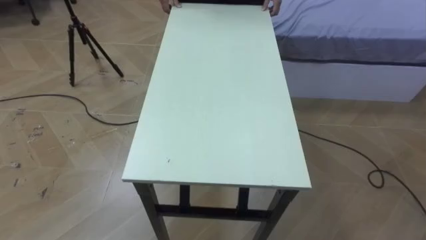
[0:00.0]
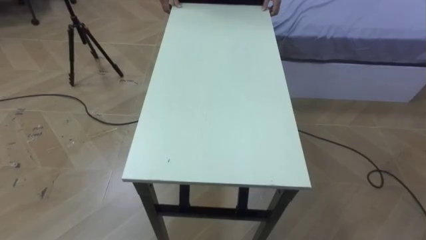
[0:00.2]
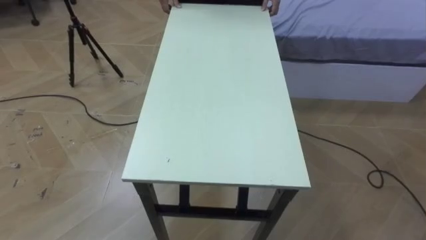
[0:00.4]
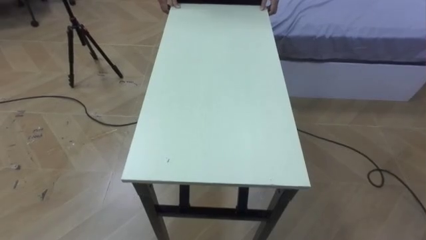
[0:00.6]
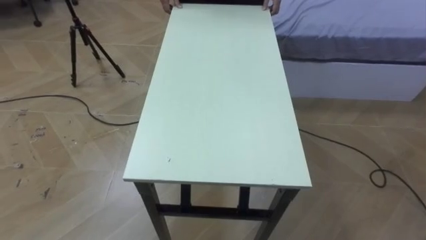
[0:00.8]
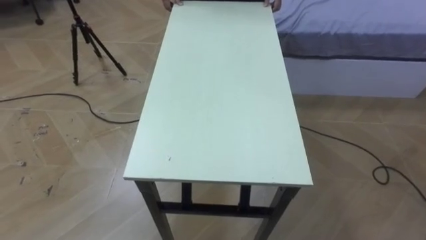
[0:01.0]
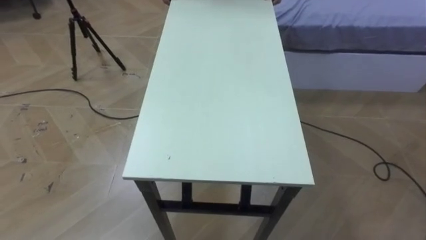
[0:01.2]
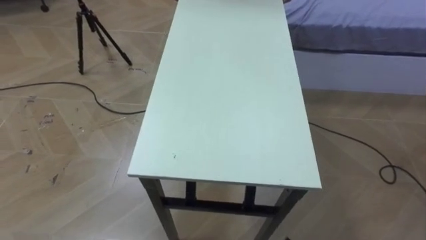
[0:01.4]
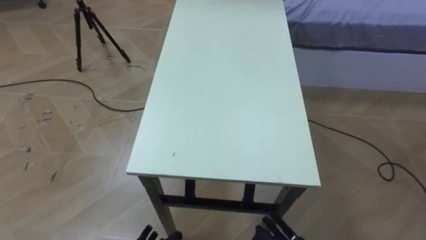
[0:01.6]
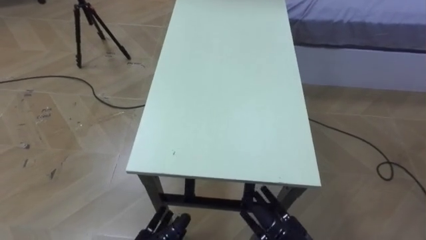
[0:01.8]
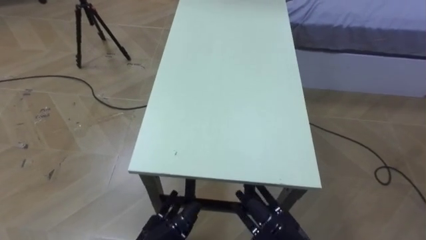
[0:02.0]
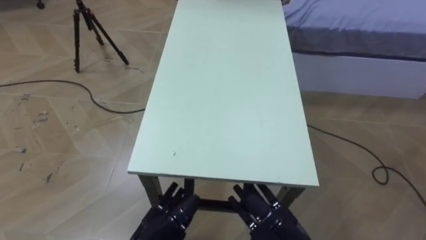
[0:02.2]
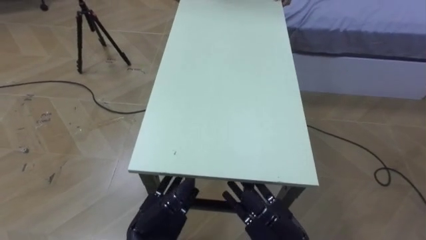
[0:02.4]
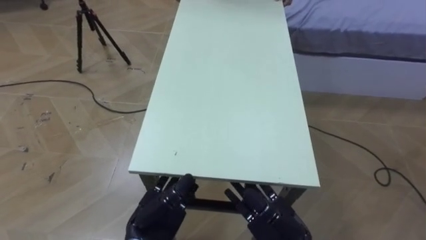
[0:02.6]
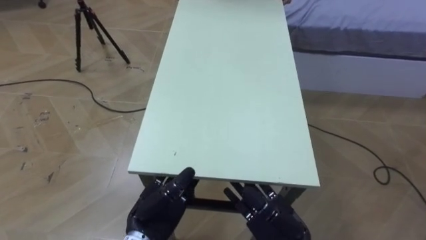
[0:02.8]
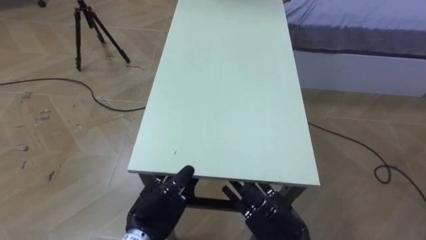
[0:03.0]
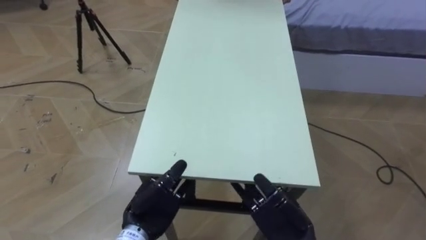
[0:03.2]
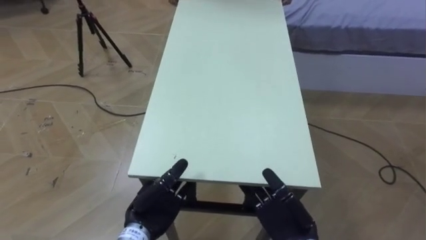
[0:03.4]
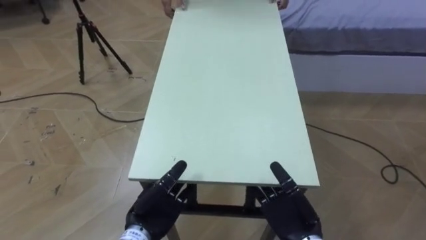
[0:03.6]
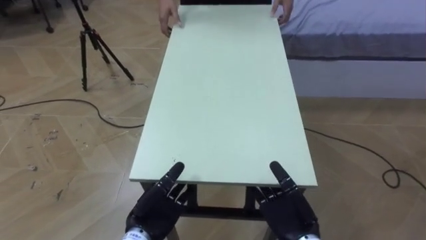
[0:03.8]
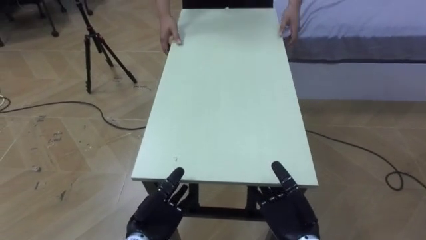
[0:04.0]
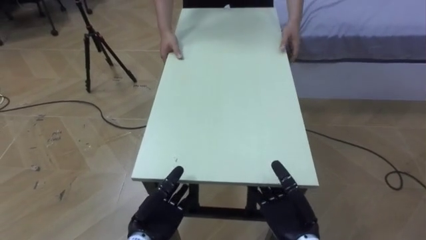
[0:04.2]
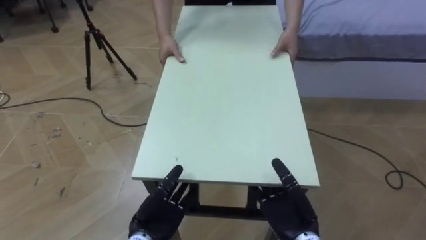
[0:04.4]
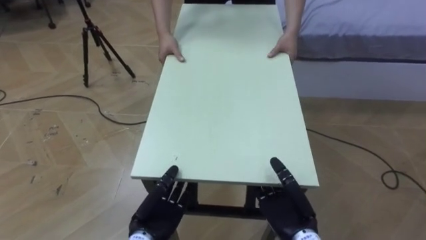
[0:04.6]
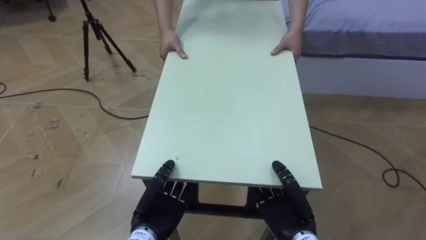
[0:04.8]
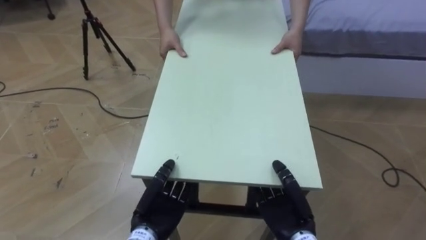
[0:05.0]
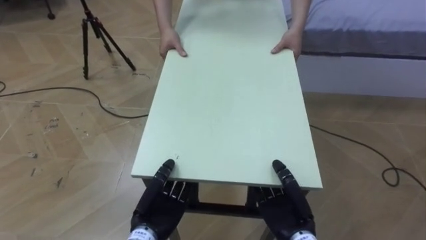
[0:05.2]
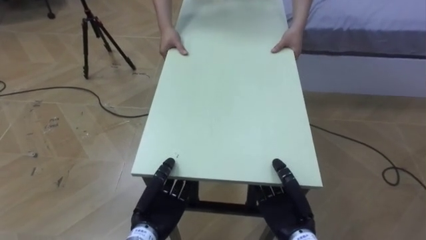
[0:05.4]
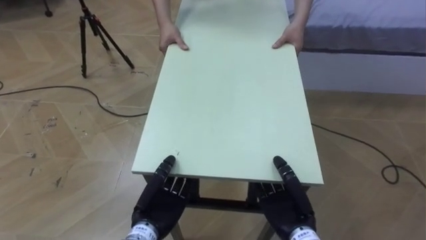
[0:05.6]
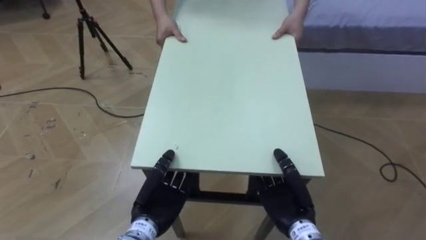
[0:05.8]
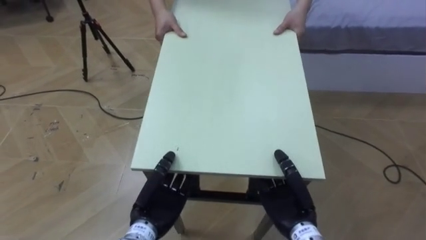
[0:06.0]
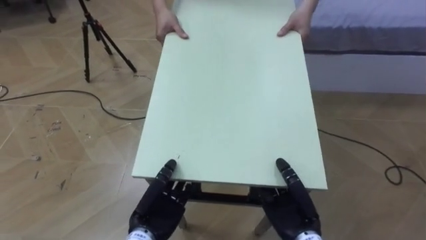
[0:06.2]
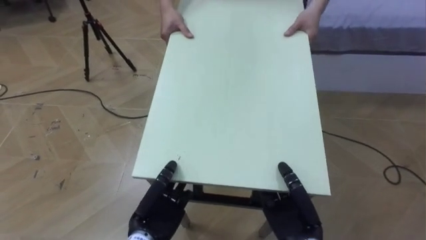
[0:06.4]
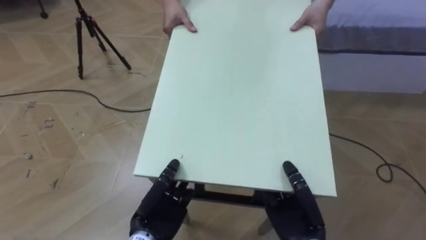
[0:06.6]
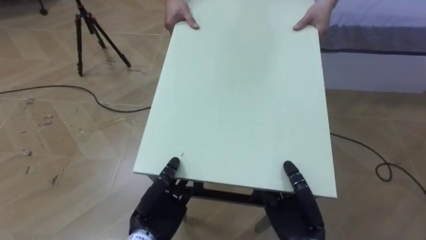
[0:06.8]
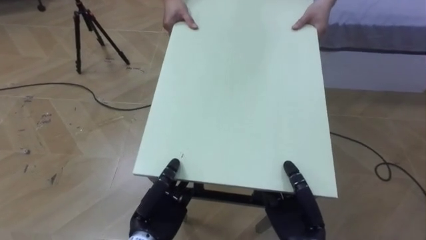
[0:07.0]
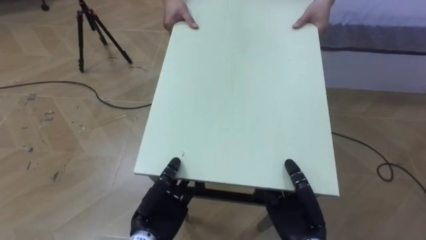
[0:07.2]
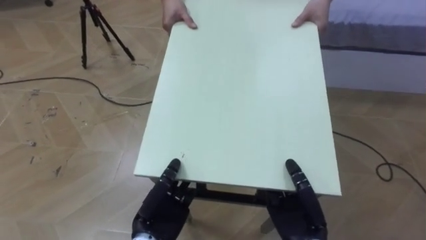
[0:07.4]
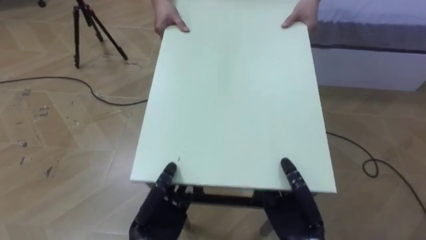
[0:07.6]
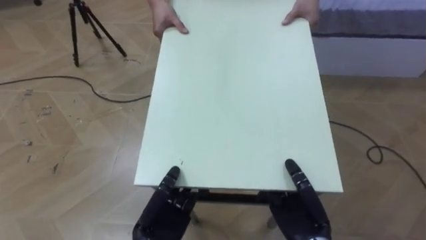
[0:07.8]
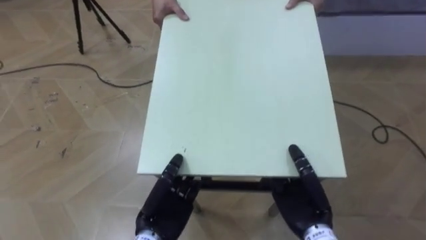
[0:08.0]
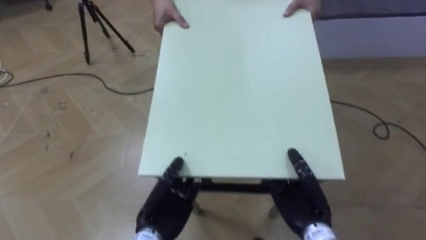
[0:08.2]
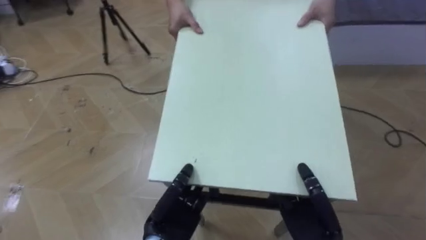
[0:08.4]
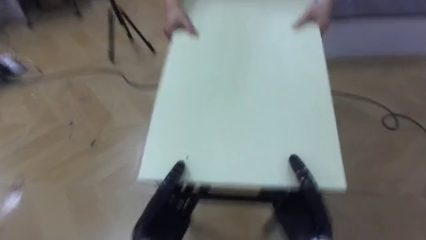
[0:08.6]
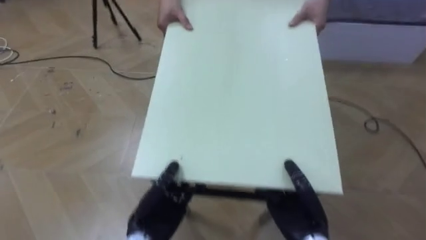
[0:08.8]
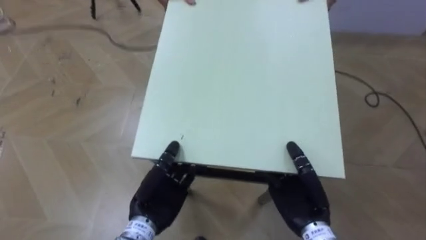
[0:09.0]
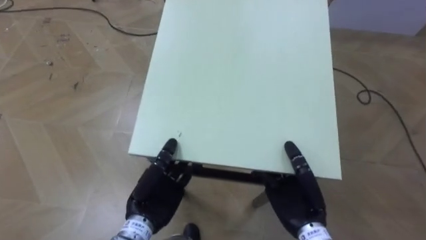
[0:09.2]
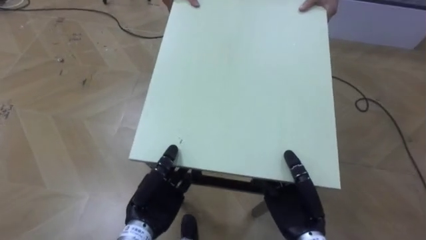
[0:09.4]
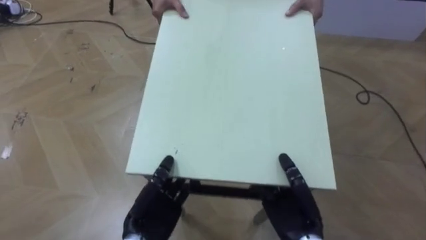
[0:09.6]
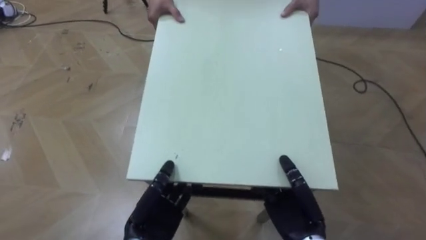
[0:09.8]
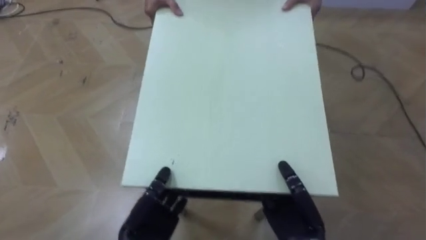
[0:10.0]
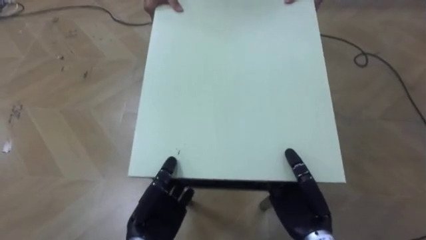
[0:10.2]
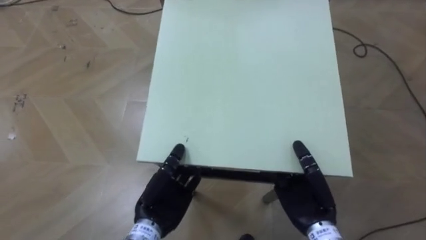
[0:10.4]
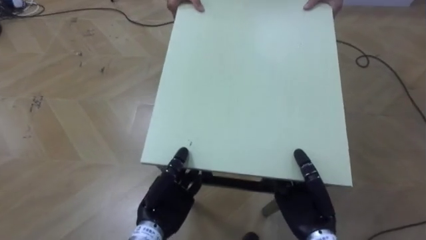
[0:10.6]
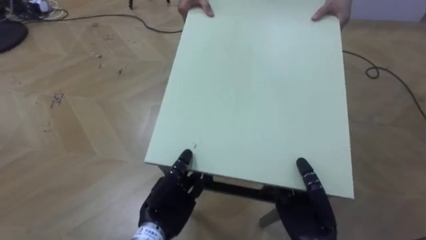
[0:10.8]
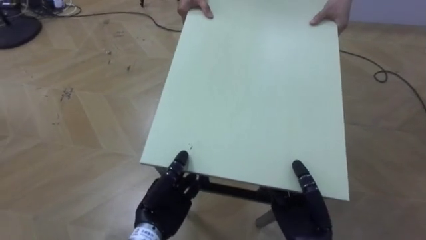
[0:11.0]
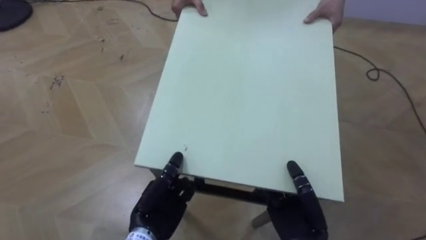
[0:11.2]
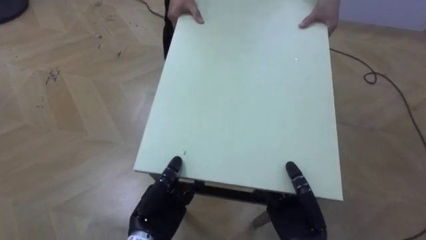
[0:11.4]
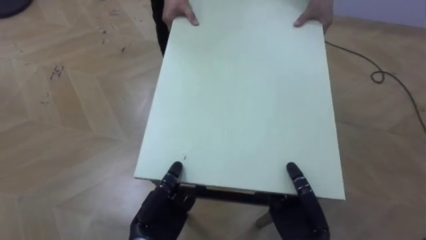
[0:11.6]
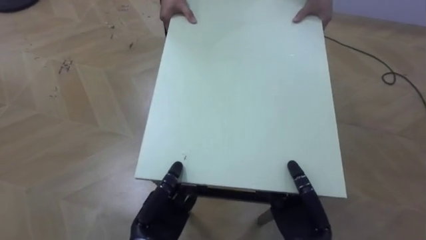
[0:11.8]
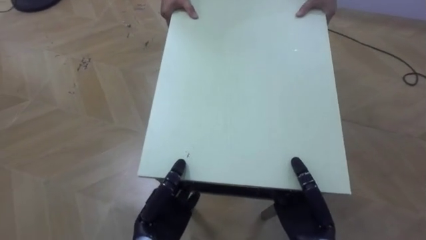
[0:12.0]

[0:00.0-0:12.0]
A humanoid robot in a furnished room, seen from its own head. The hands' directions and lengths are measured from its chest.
Task of the whole recording: Move the table to the back left with someone.
0:04.4 to 0:06.0: The left hand closes its fingers. The right hand closes up.

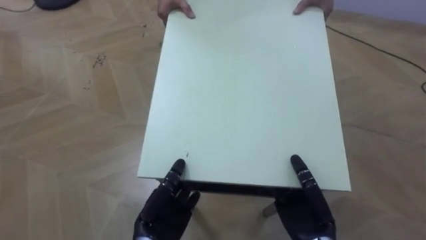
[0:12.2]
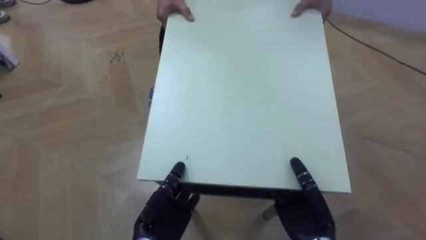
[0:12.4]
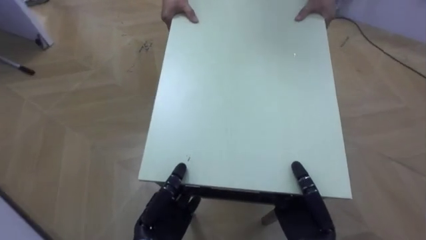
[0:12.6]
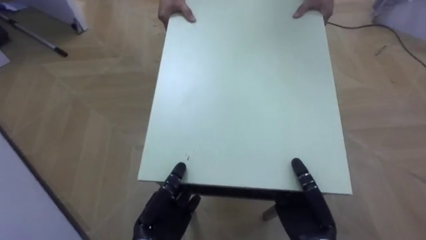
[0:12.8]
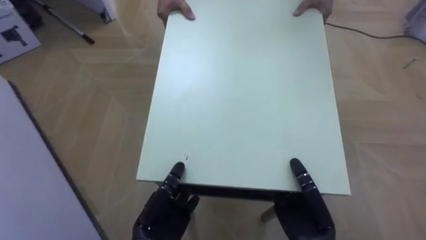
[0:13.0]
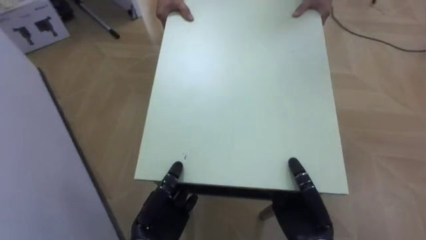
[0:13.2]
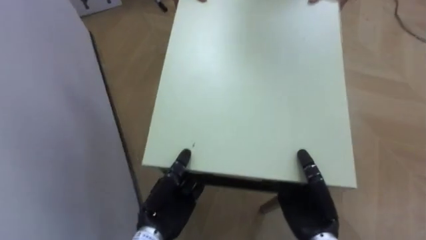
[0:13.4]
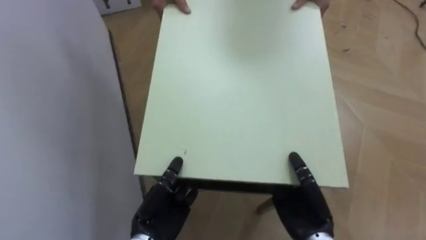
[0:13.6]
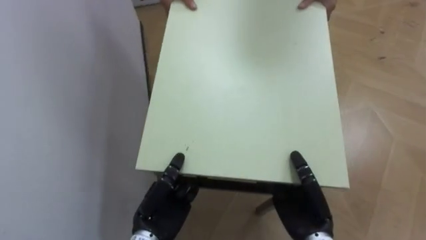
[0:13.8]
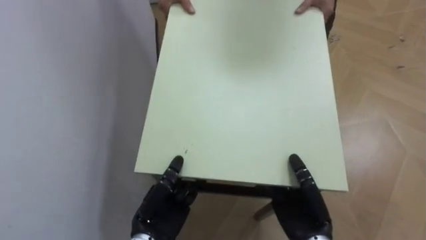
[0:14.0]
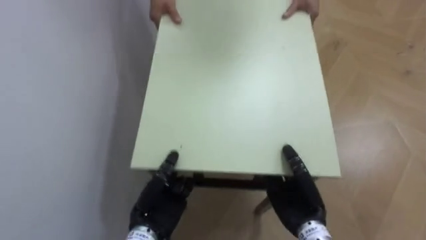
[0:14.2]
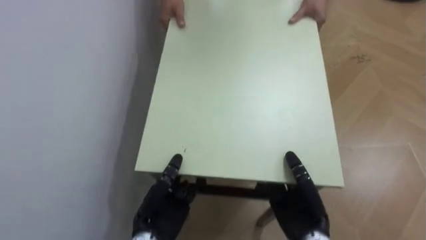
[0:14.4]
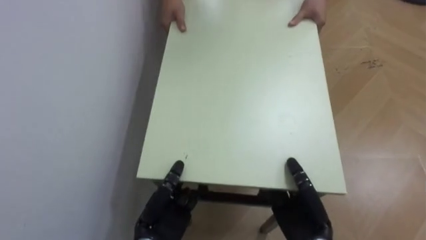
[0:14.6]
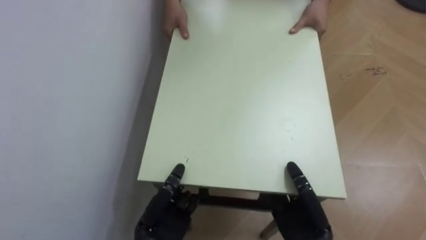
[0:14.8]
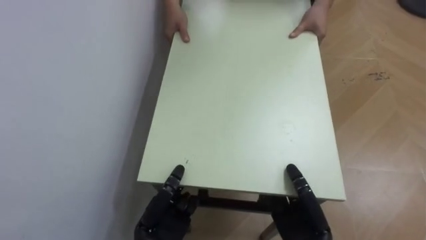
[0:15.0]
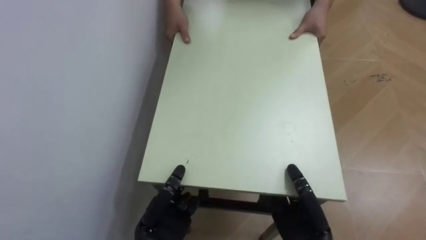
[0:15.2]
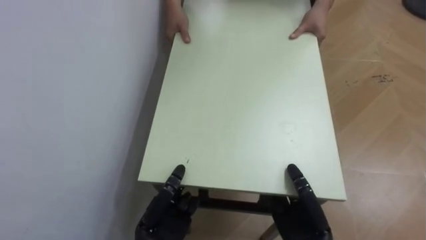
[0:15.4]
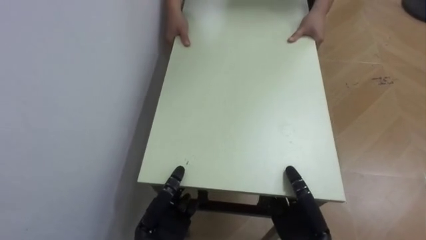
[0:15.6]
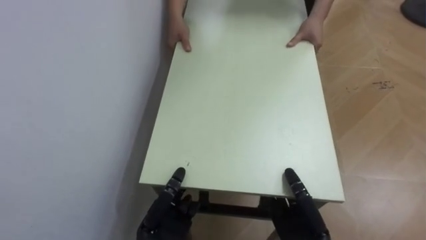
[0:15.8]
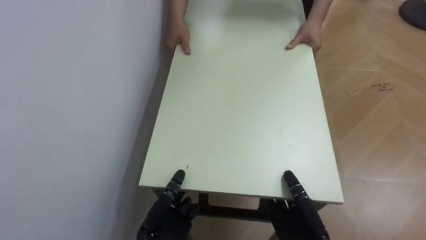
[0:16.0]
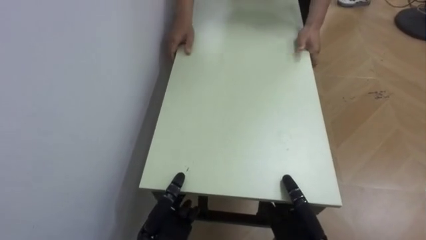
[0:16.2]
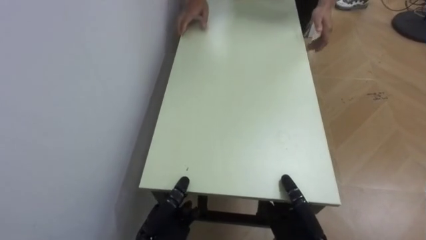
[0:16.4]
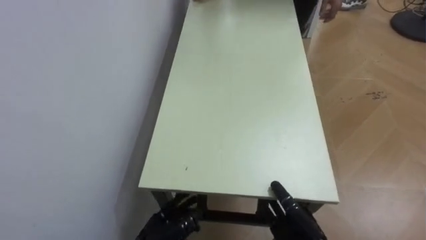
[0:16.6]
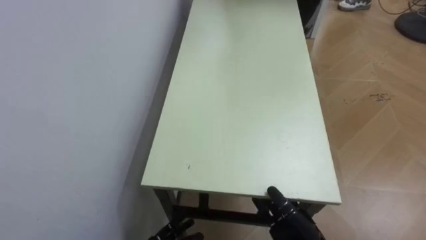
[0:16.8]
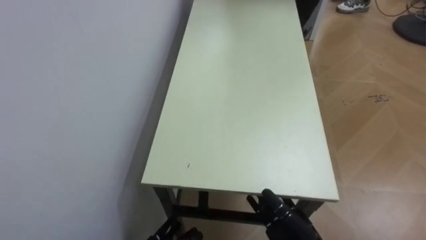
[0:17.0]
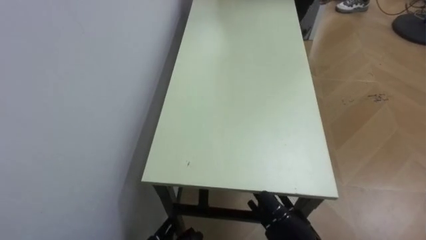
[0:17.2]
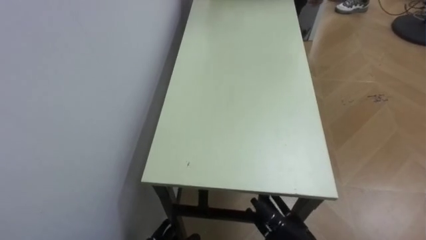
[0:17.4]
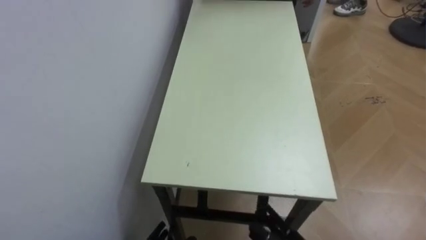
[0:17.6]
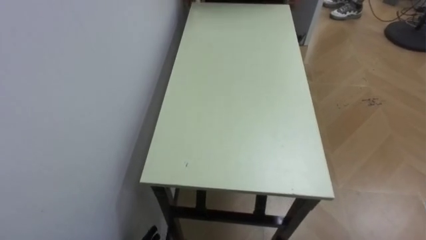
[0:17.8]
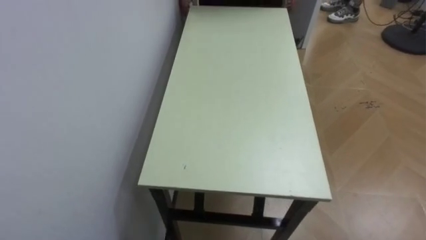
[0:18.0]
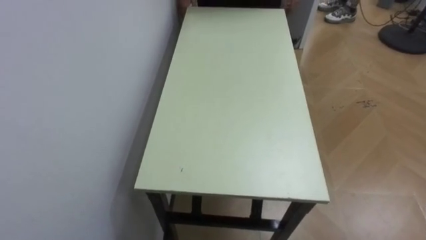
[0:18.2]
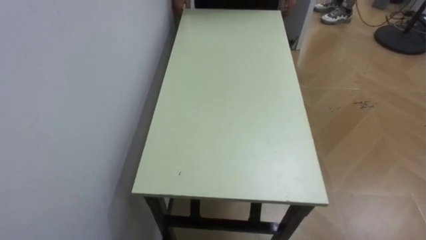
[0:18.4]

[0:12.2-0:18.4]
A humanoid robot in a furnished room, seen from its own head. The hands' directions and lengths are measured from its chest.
Task of the whole recording: Move the table to the back left with someone.
0:12.2 to 0:13.8: The robot's body swings about 60 degrees to its left.
0:13.8 to 0:15.4: The robot turns to its left by approximately 20 degrees.
0:15.4 to 0:16.8: The right hand opens its fingers.
